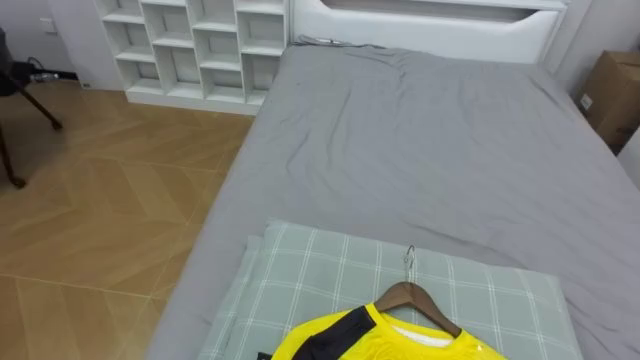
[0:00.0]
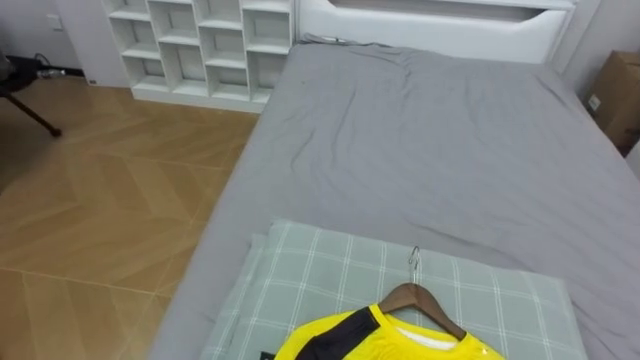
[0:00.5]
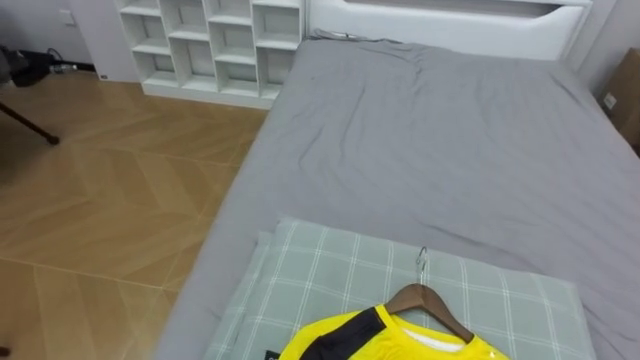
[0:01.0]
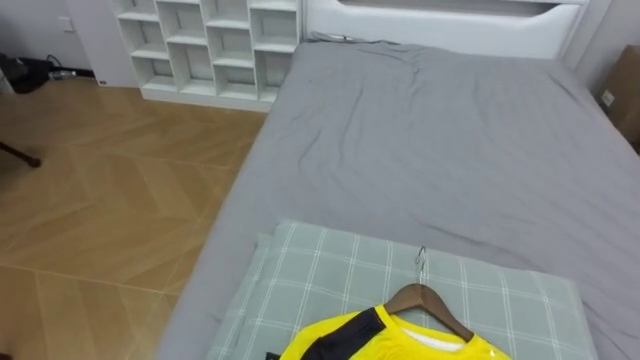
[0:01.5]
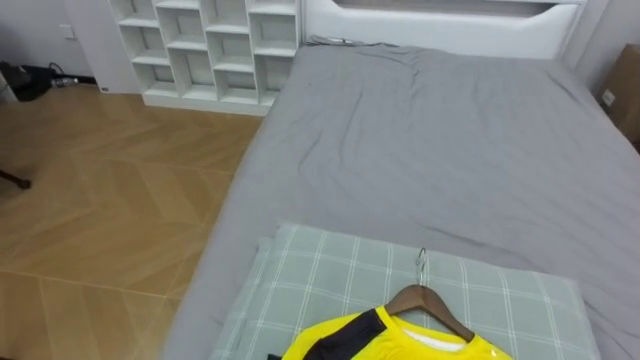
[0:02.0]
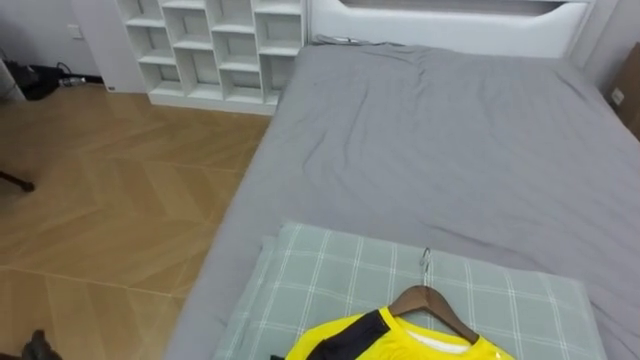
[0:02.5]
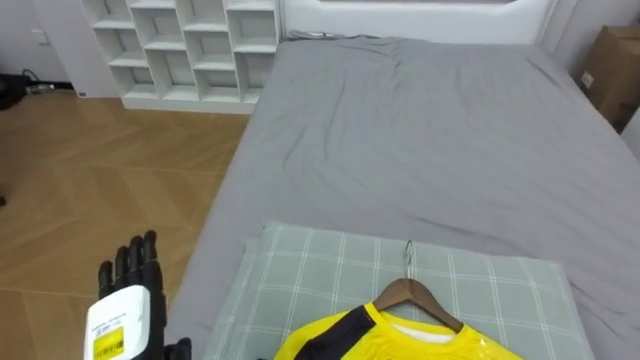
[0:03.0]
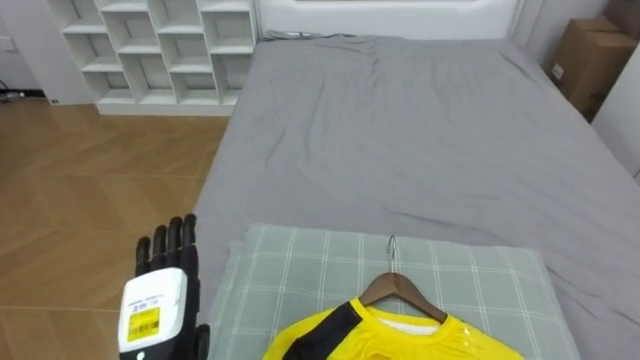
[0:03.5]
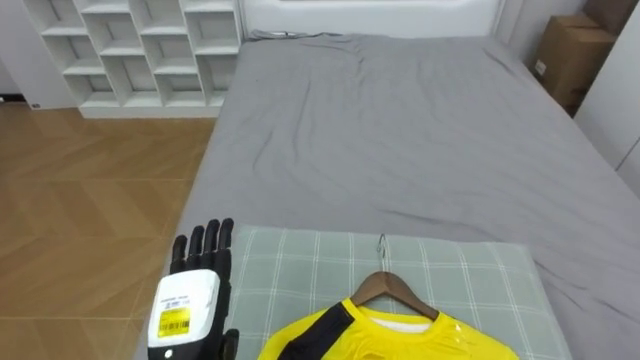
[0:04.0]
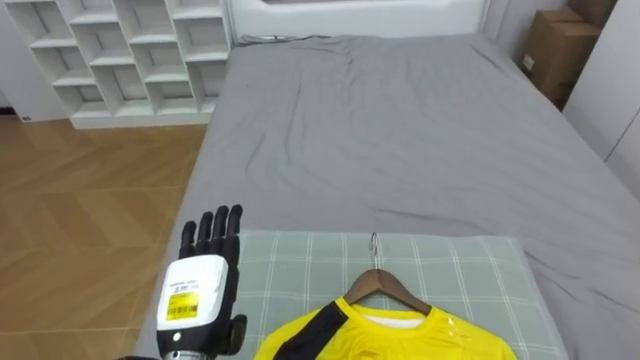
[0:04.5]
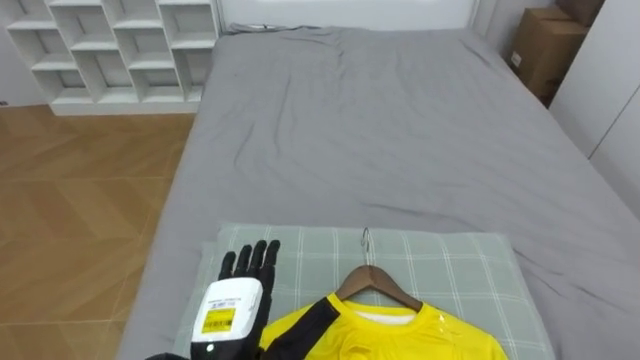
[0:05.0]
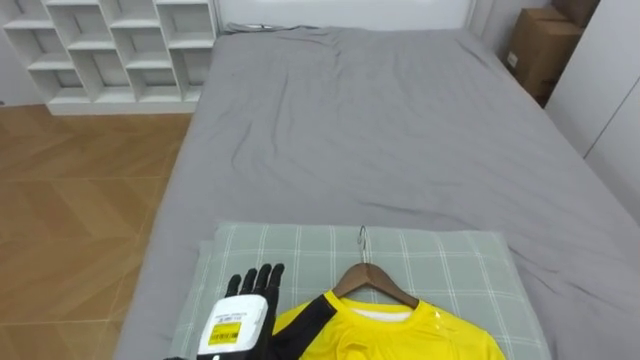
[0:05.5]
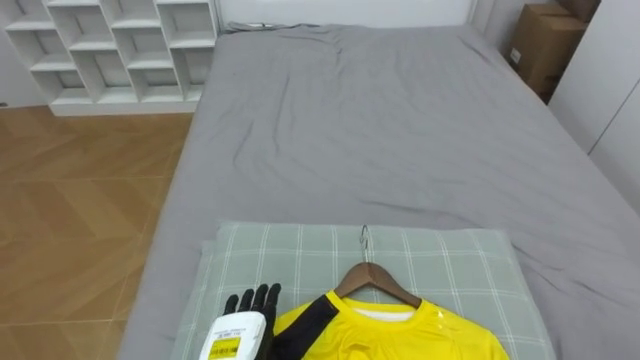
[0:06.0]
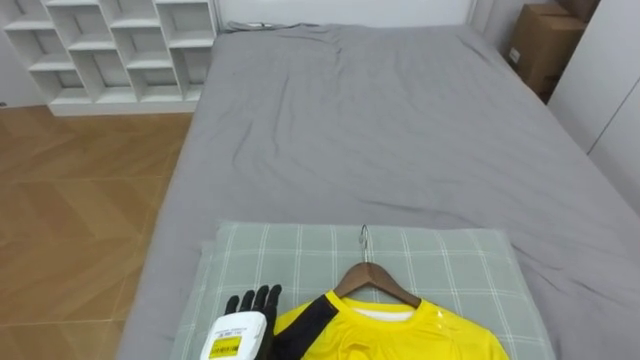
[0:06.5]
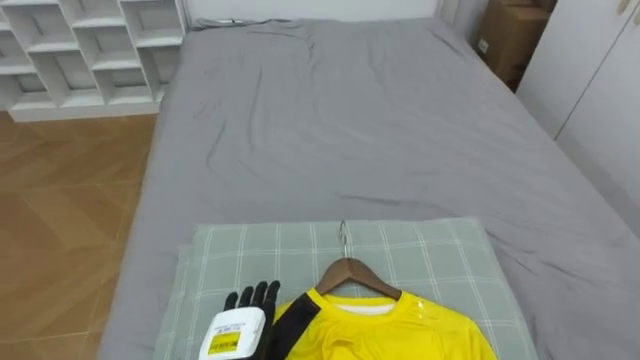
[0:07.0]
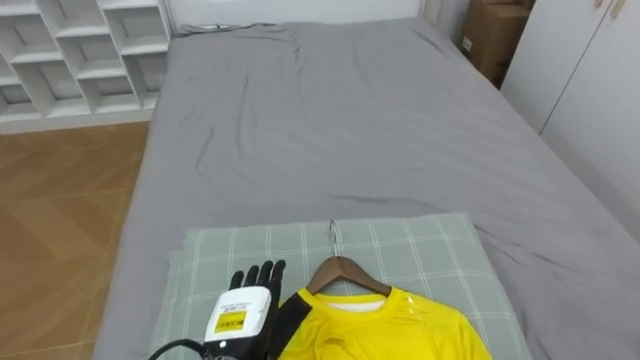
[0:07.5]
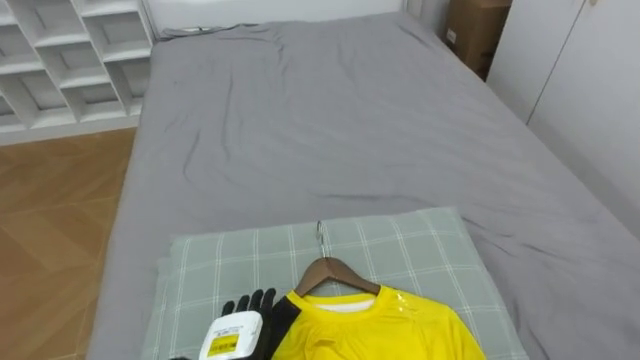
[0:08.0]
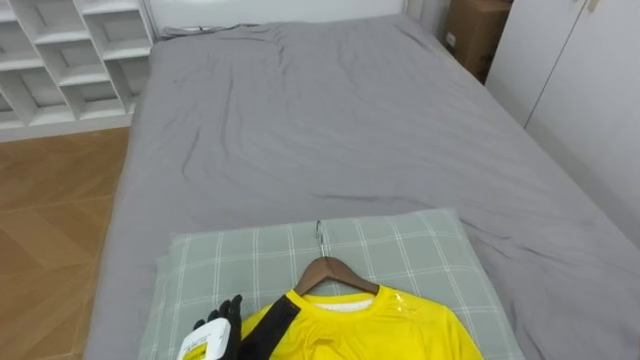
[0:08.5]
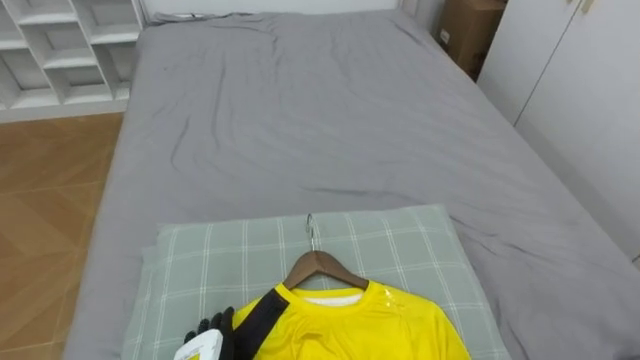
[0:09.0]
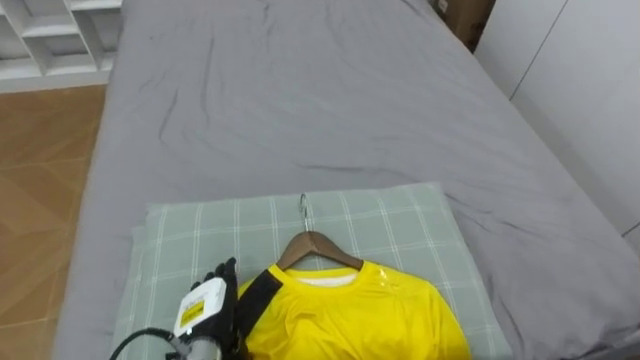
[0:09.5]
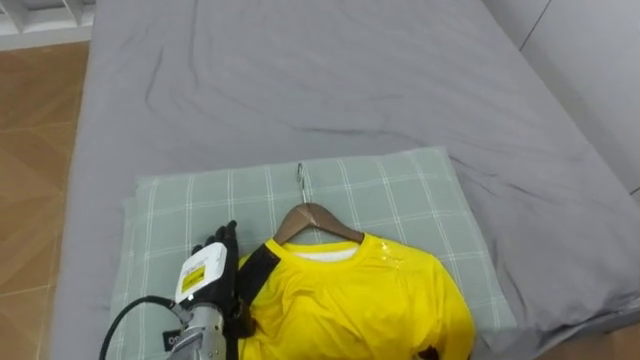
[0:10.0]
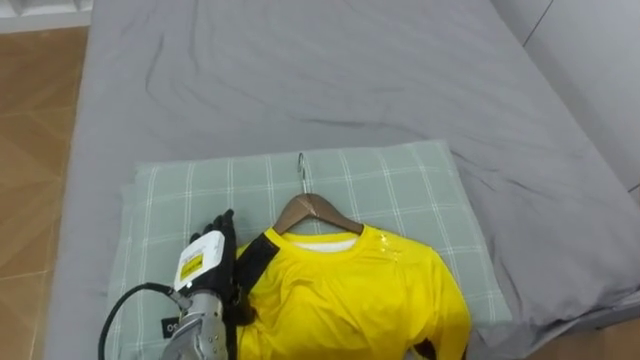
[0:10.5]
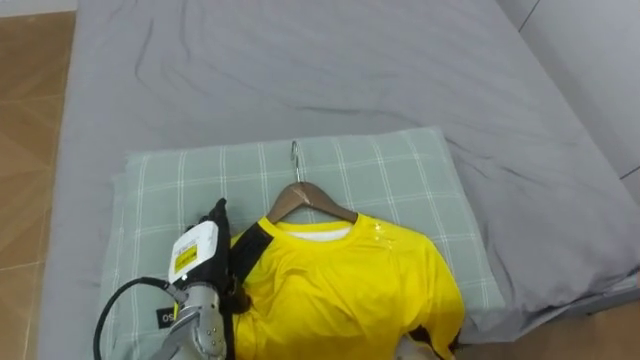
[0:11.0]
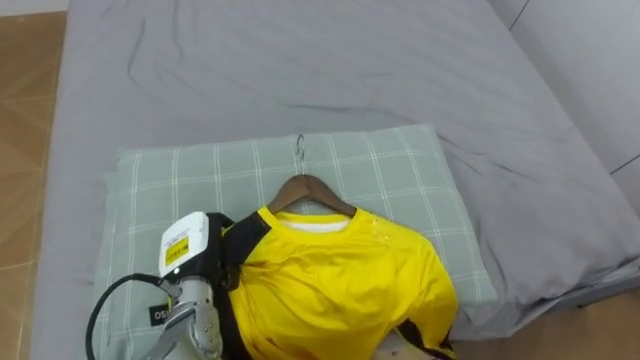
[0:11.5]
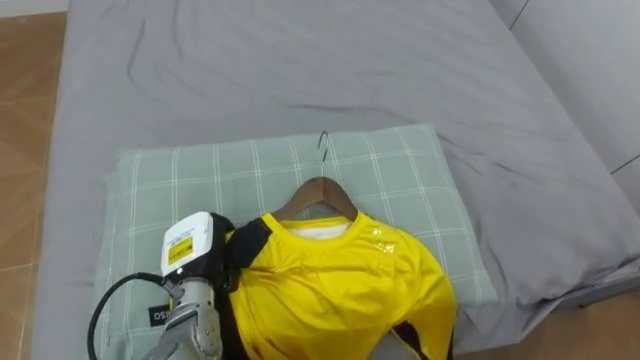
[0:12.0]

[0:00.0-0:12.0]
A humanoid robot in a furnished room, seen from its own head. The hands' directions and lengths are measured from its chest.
Task of the whole recording: Pick up the yellow shirt on the bed and hang it on the clothes rack on the right.
0:04.0 to 0:06.0: The left hand is displaced downward by some 10 cm.
0:10.0 to 0:12.0: The left hand closes up.

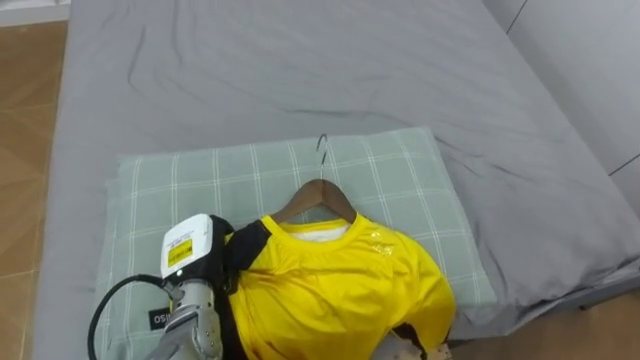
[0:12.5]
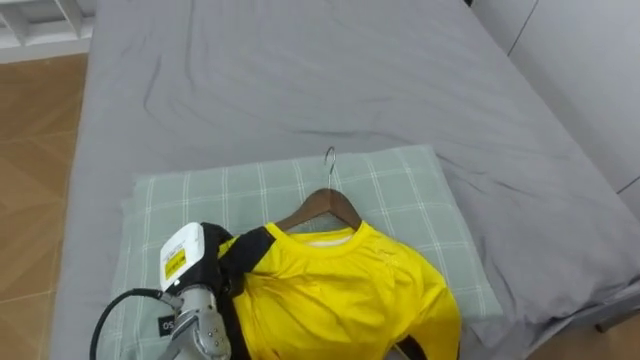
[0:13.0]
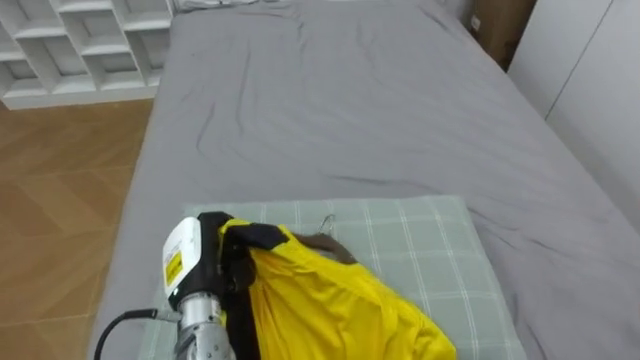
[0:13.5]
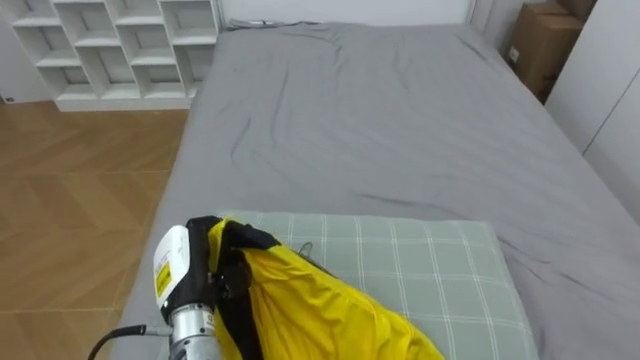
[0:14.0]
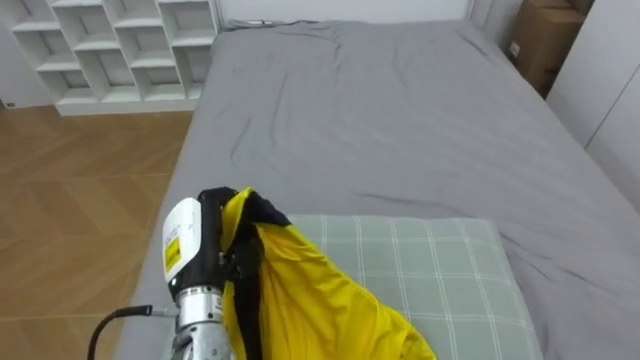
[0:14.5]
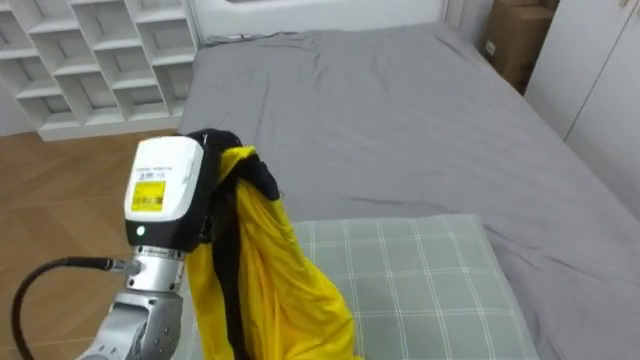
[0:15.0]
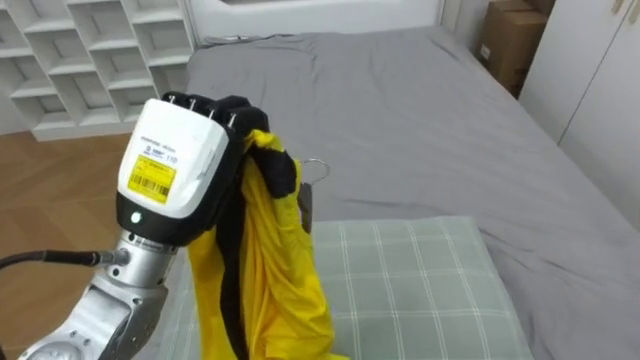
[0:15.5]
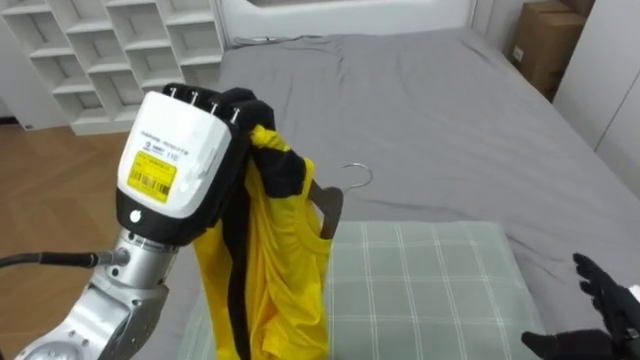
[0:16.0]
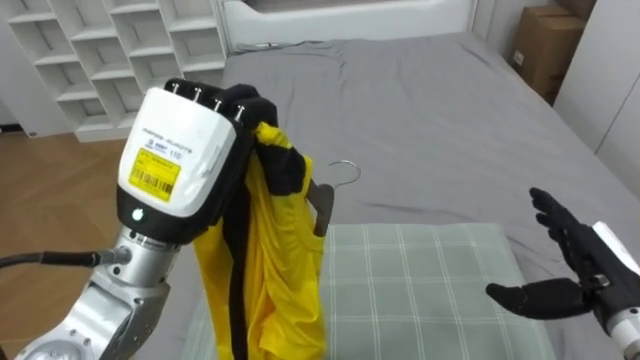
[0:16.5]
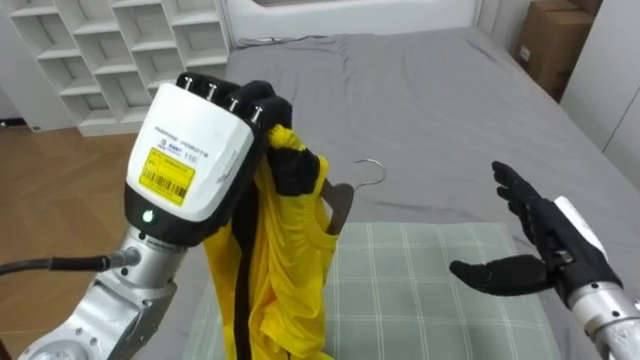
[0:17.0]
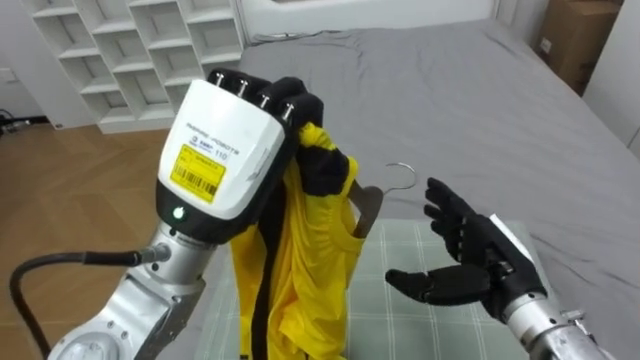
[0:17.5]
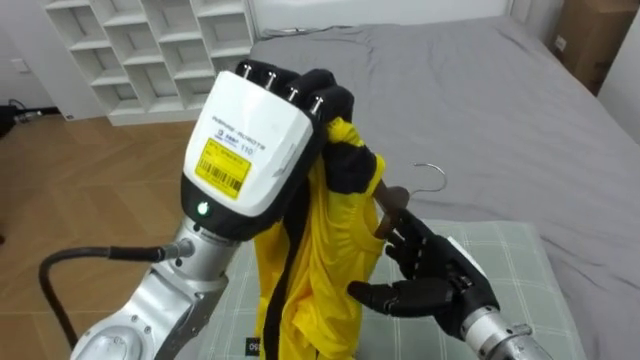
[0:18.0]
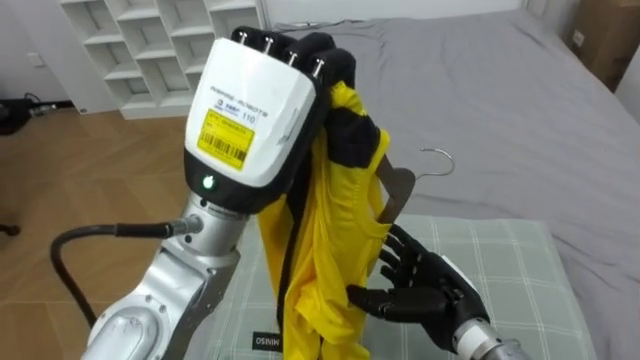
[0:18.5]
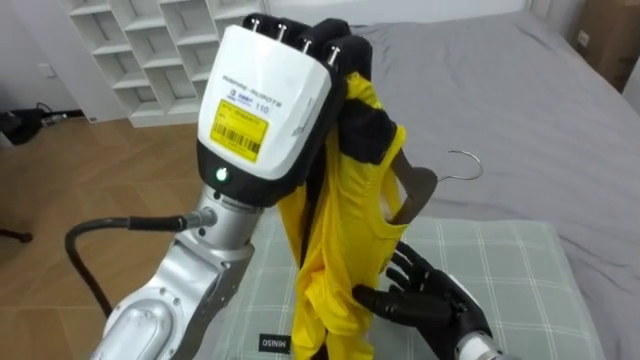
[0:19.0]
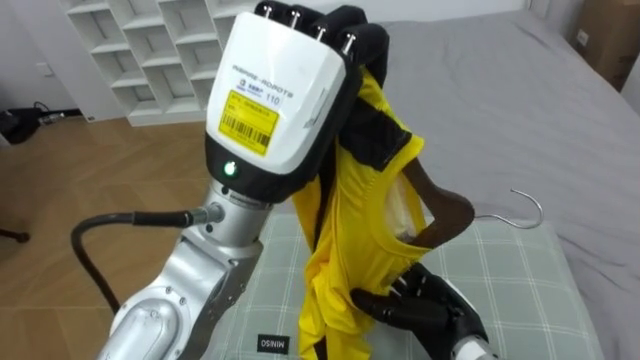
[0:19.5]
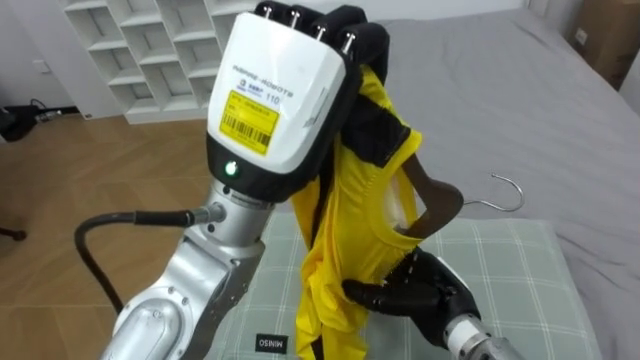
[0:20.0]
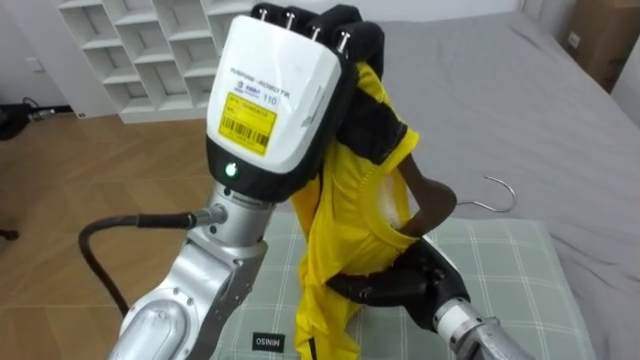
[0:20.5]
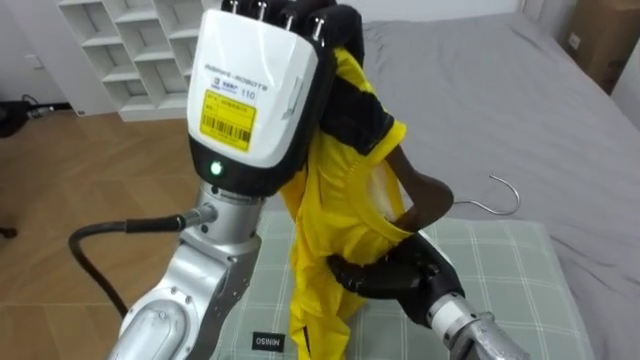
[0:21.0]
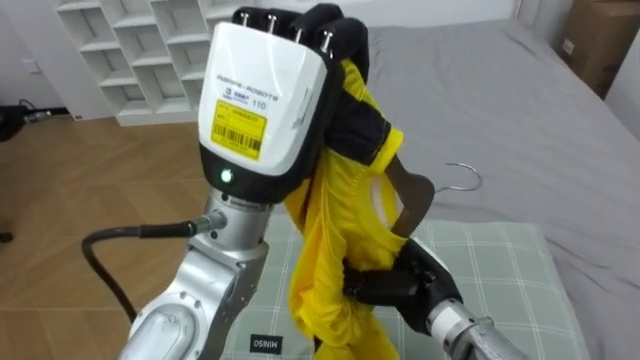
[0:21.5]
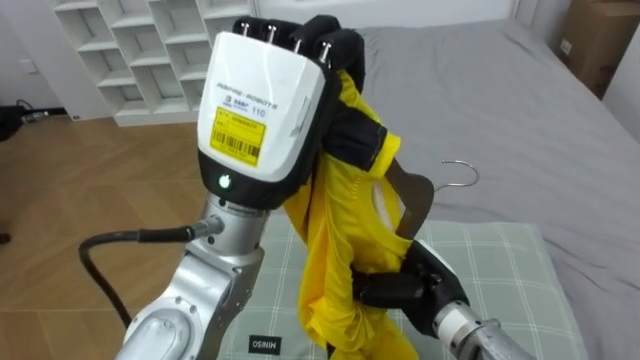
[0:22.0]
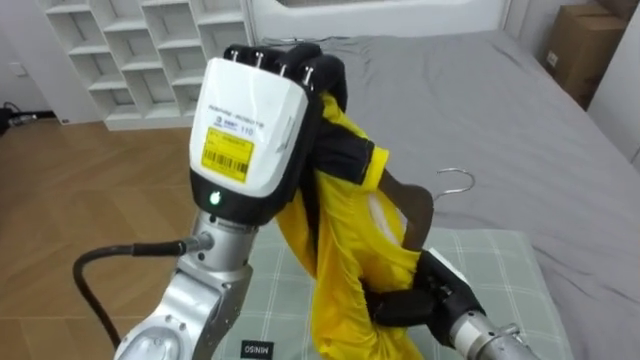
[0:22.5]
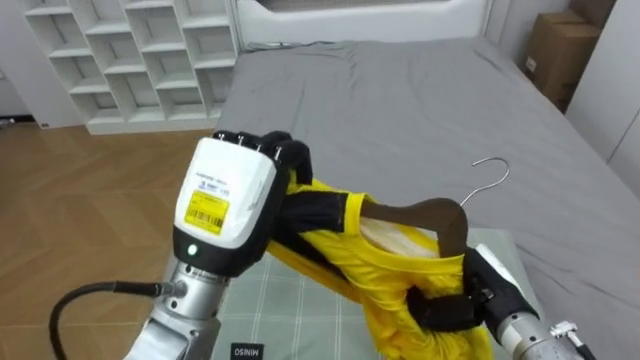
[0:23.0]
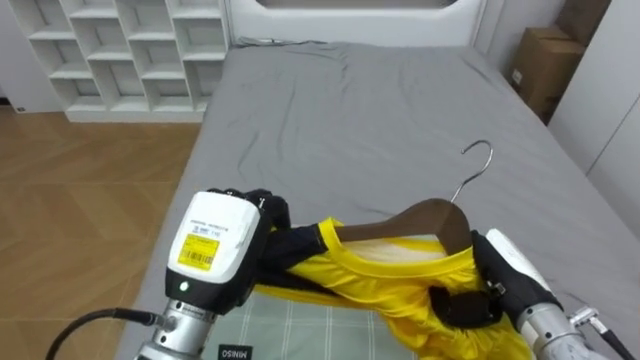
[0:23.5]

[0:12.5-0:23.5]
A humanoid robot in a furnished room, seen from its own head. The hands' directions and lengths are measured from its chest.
Task of the whole recording: Pick up the yellow shirt on the bed and hang it on the clothes rack on the right.
0:12.5 to 0:14.5: The left hand is displaced upward by some 5 cm.
0:14.5 to 0:16.0: The left hand goes some 15 cm upward.
0:16.0 to 0:18.0: The left hand shifts about 5 cm to the right; the right hand moves to the left, about 20 cm.
0:20.0 to 0:21.5: The right hand ends up some 5 cm from where it was, and closes up.
0:21.5 to 0:23.5: The left hand heads downward, covering approximately 15 cm; the right hand shifts about 10 cm to the right.
